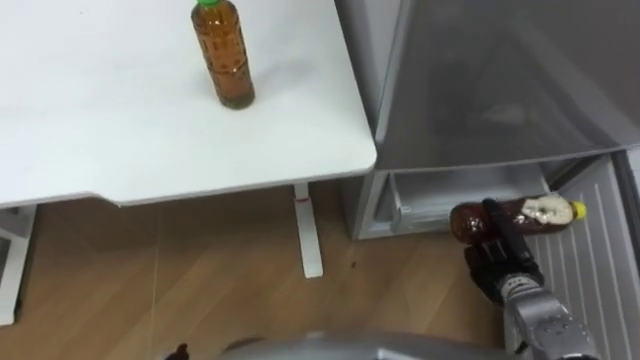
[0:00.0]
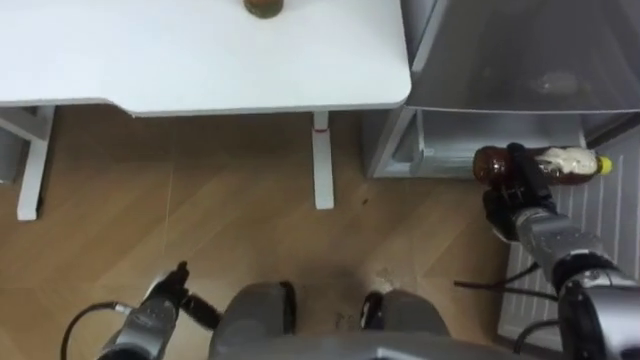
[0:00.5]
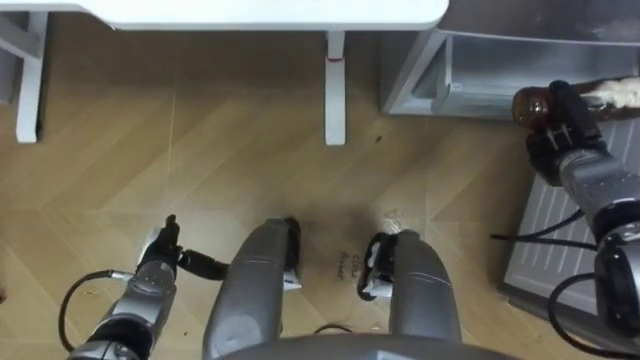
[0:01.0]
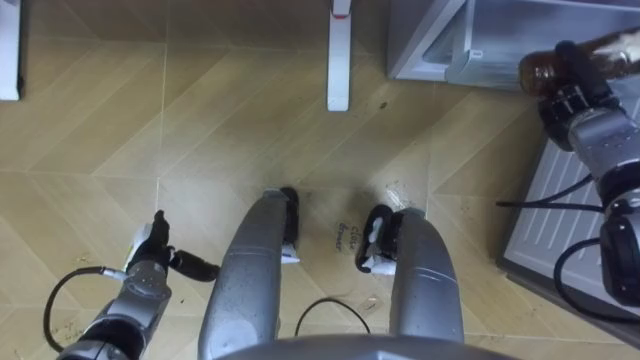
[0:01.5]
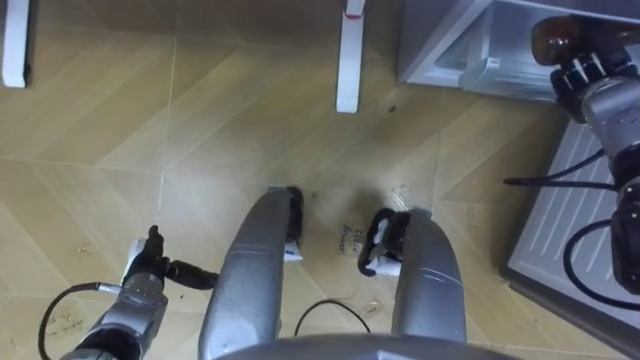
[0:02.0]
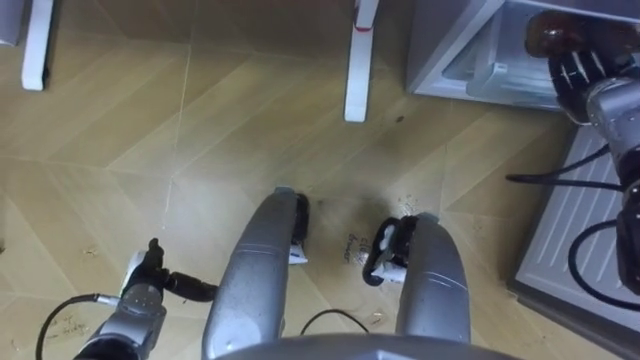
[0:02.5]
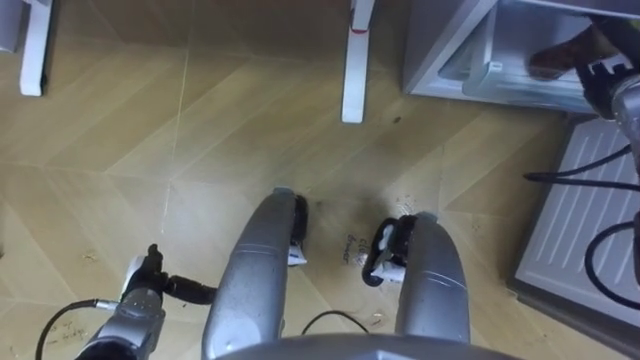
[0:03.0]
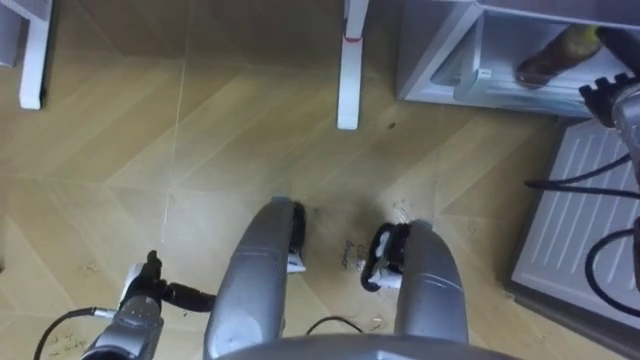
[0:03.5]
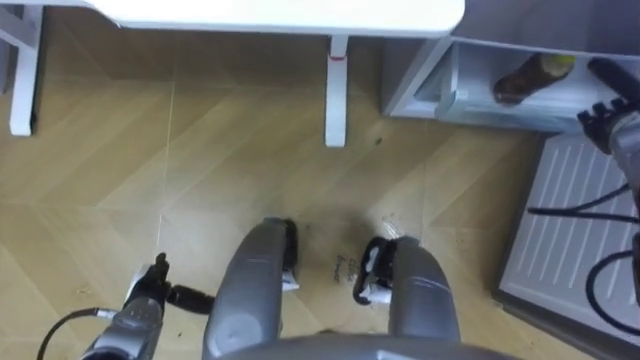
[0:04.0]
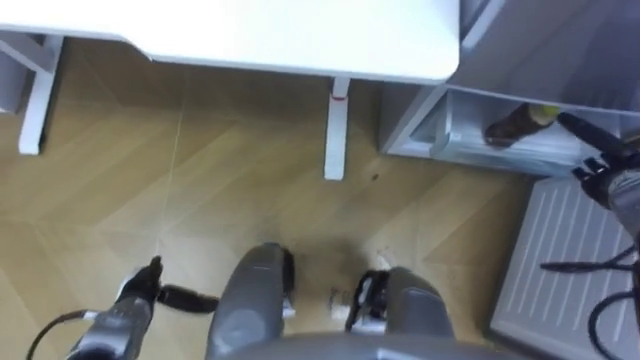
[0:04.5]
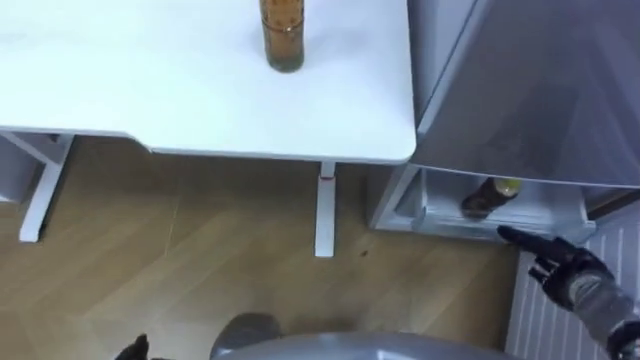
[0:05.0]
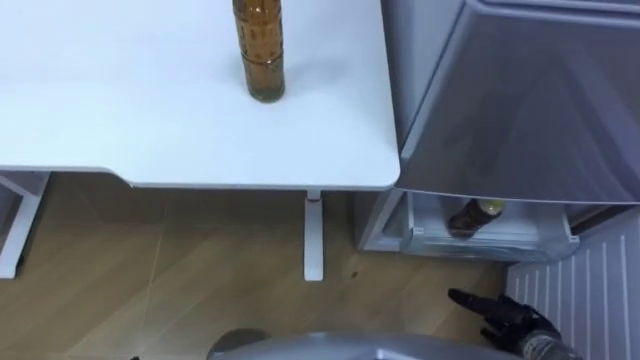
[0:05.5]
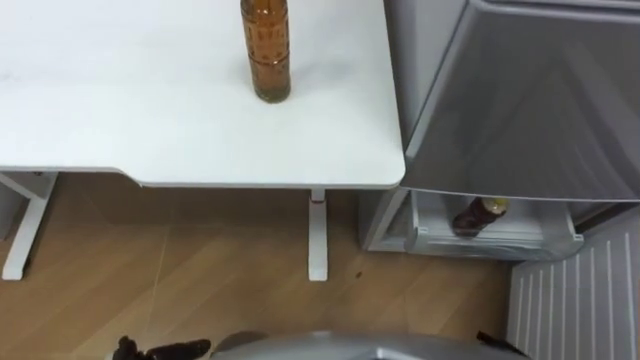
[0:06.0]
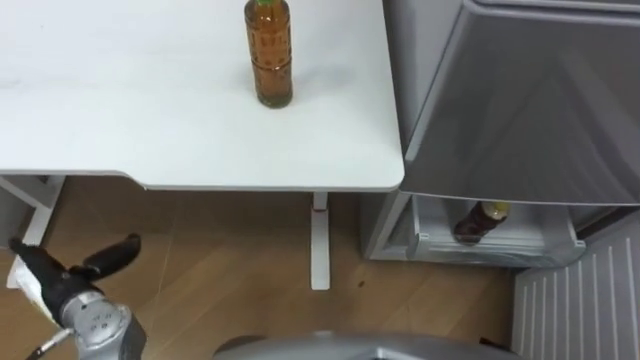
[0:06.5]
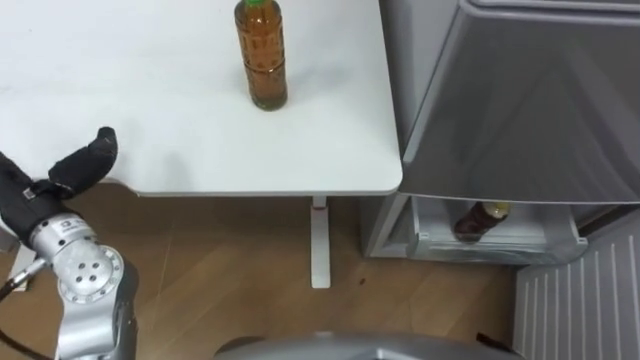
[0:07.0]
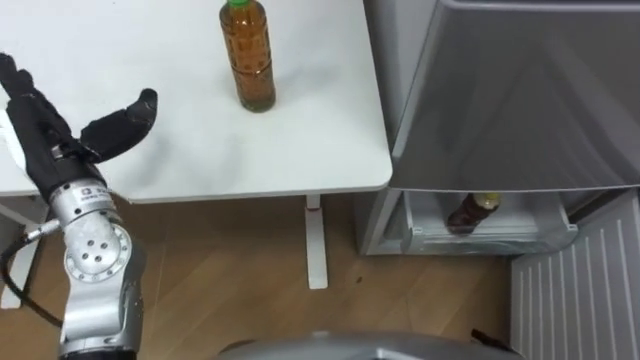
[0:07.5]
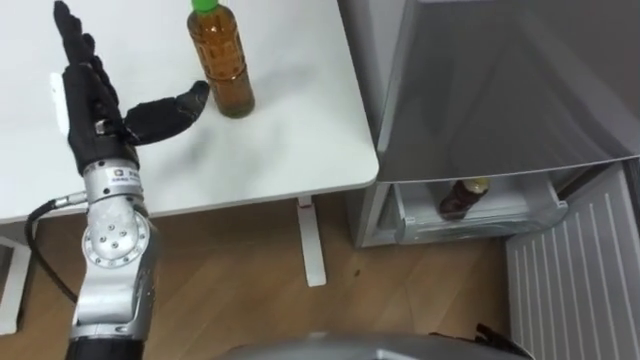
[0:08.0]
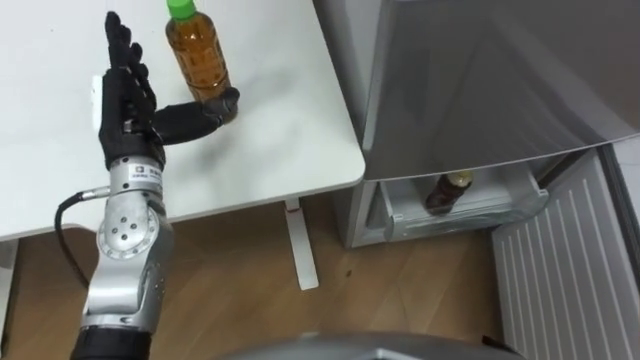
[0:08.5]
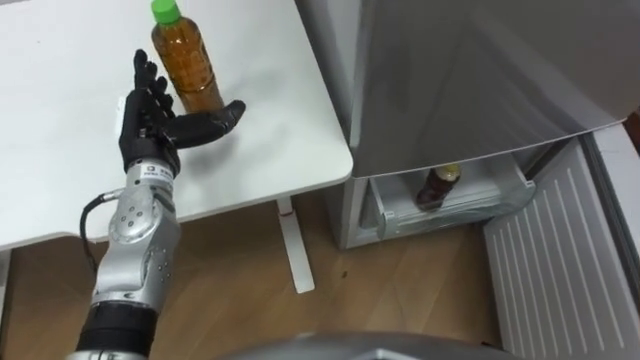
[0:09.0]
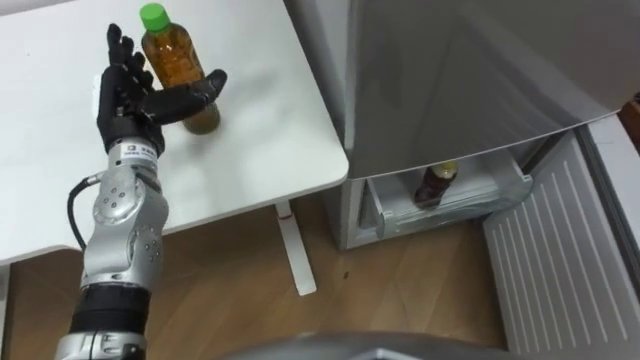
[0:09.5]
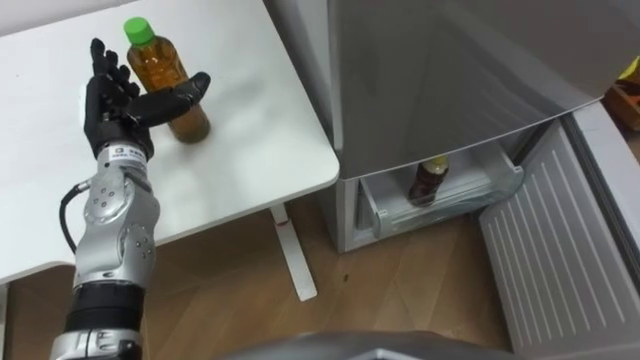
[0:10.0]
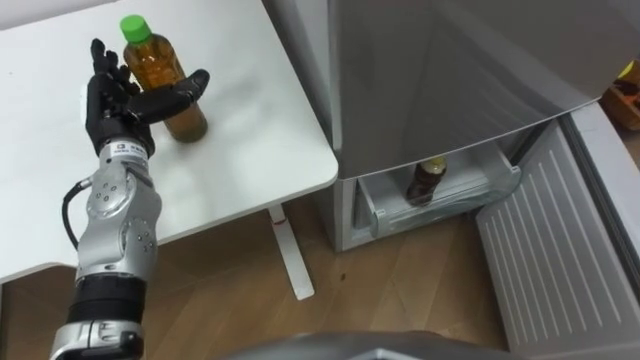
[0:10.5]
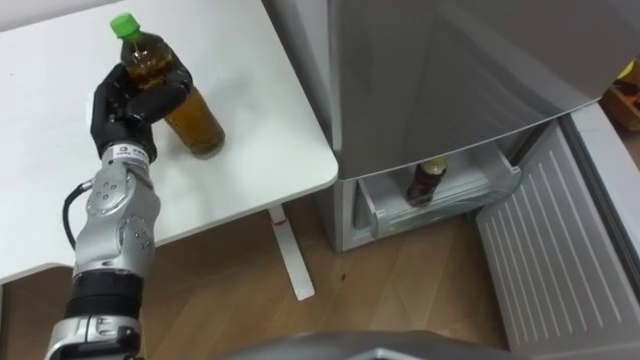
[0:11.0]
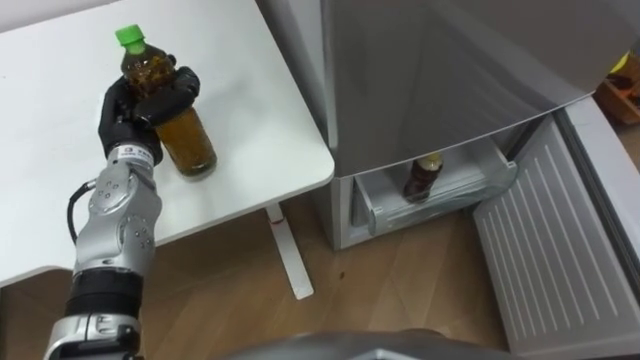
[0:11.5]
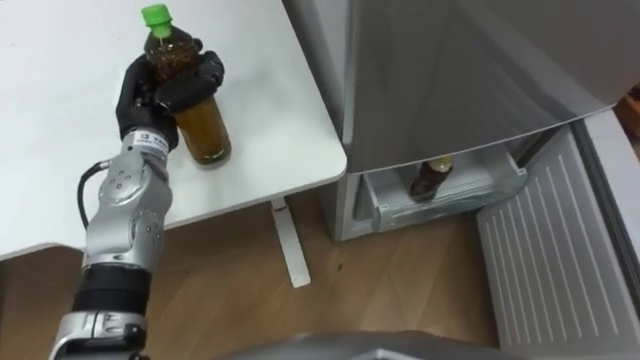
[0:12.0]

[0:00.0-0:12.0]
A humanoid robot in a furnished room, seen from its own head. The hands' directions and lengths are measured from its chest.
Task of the whole recording: Place the drink on the table on the bottom shelf of the refrigerator, then close the drawer and the refrigerator door.
0:00.0 to 0:02.0: The right hand moves forward and upward, some 30 cm.
0:02.0 to 0:04.0: The right hand ends up some 5 cm from where it was, and opens up.
0:08.0 to 0:10.0: The left hand goes some 5 cm downward.
0:10.0 to 0:12.0: The left hand closes its fingers.

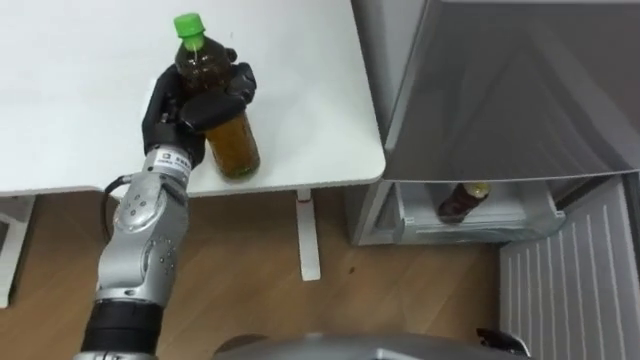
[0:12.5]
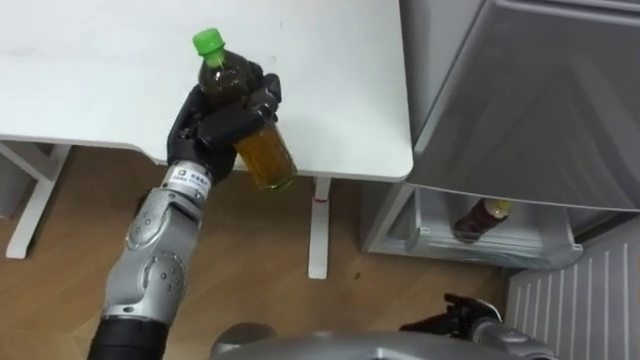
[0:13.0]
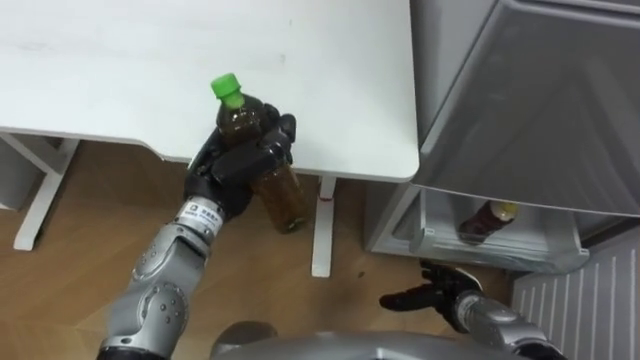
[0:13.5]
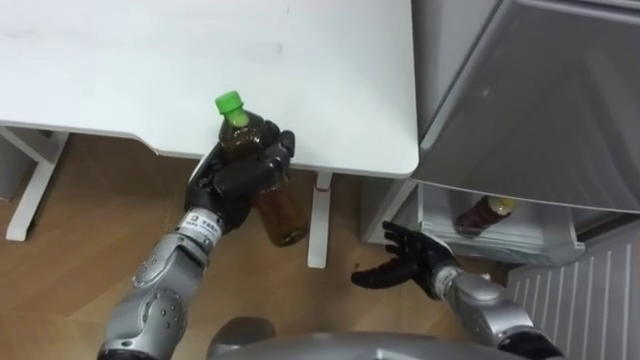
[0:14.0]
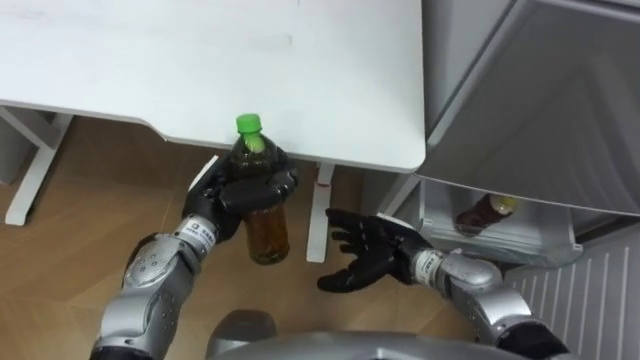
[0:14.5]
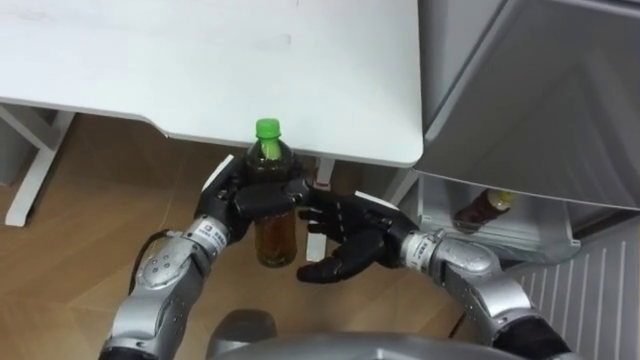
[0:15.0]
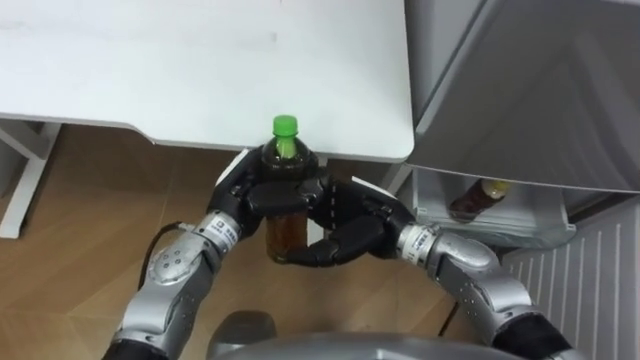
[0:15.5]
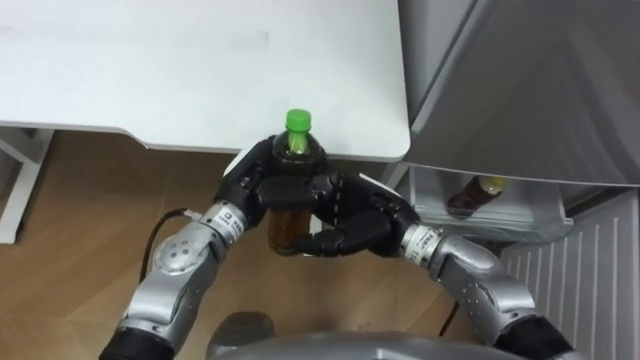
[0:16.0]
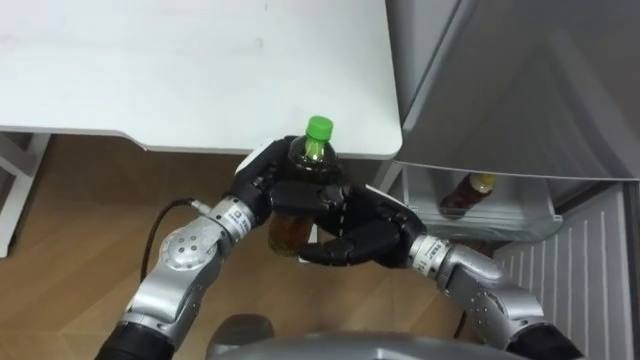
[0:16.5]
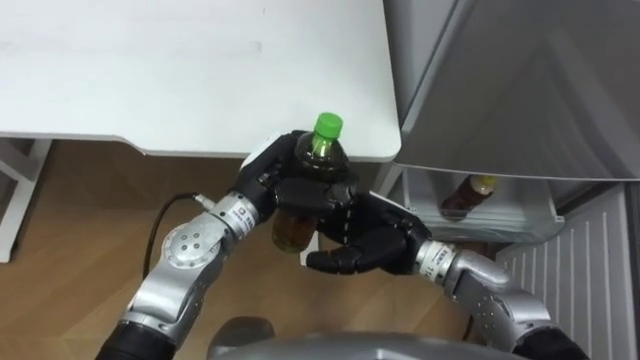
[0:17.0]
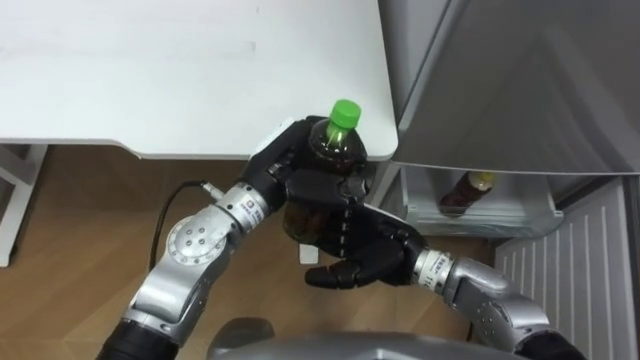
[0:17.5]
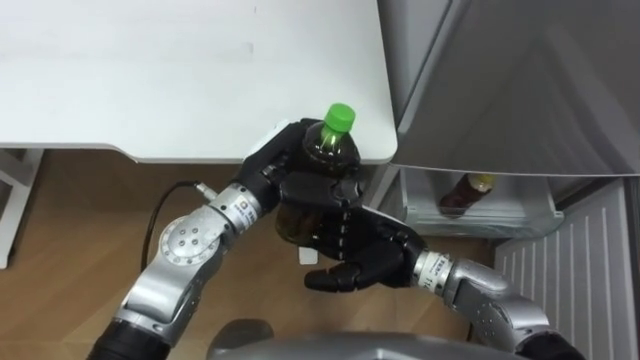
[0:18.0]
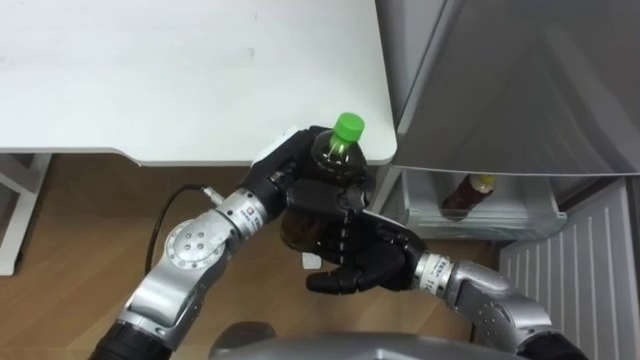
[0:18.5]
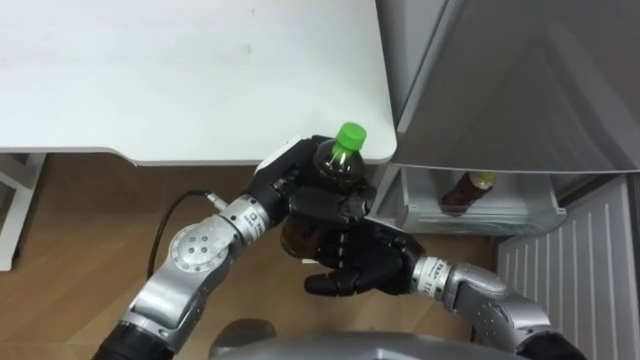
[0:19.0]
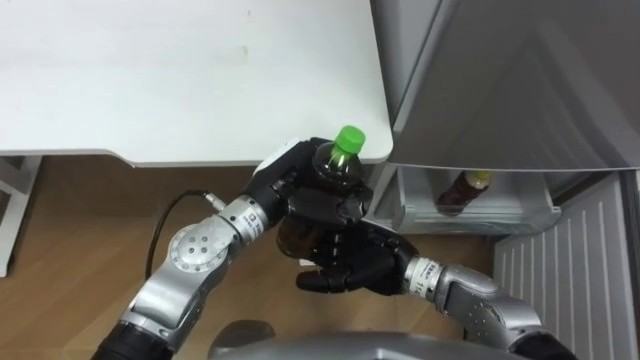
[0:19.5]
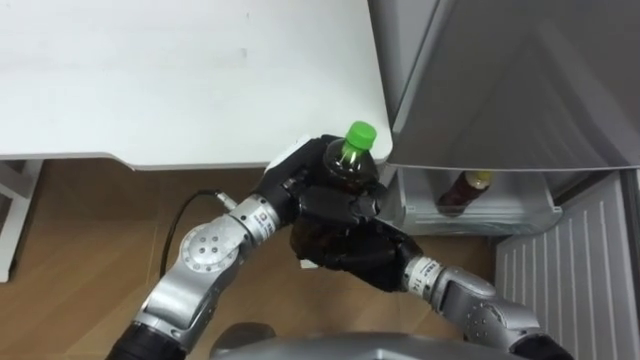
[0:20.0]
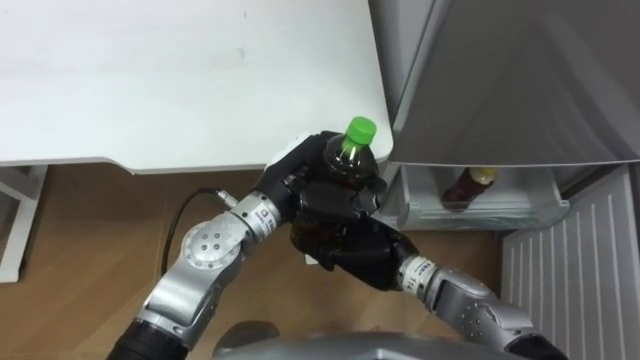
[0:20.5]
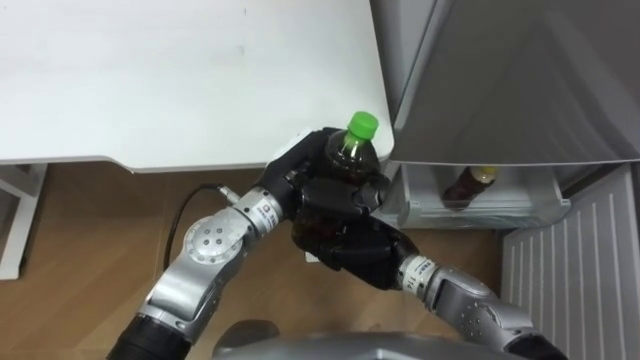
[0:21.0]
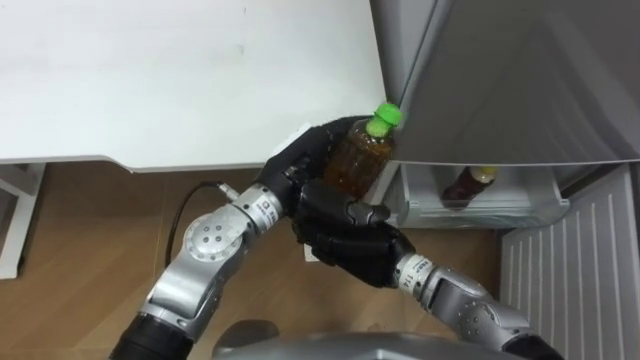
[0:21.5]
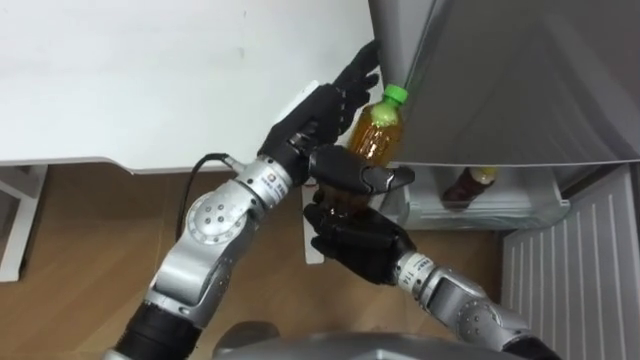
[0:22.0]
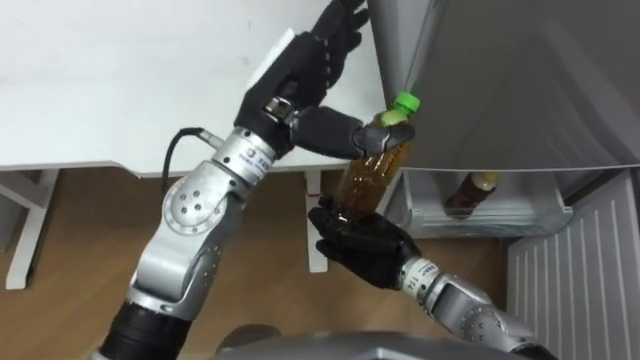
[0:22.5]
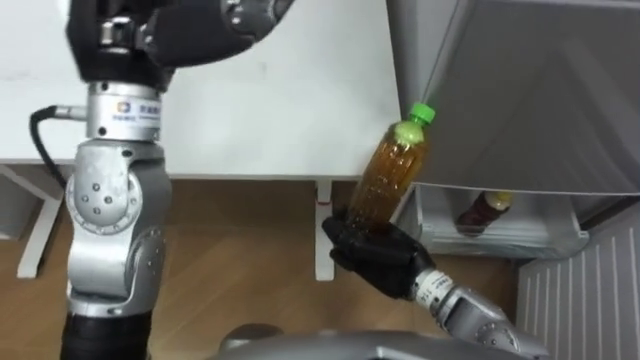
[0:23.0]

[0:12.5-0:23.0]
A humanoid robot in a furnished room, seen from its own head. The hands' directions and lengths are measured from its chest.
Task of the whole recording: Place the drink on the table on the bottom shelf of the refrigerator, then close the drawer and the refrigerator door.
0:12.5 to 0:14.5: The right hand shifts some 25 cm to the left, forward and upward. The left hand travels downward and backward by some 10 cm.
0:14.5 to 0:16.5: The right hand is displaced upward by about 5 cm. Meanwhile the left hand is displaced to the right by roughly 5 cm.
0:19.0 to 0:21.0: The right hand closes its fingers.
0:21.0 to 0:23.0: The left hand goes roughly 25 cm upward and to the left, and opens up.
